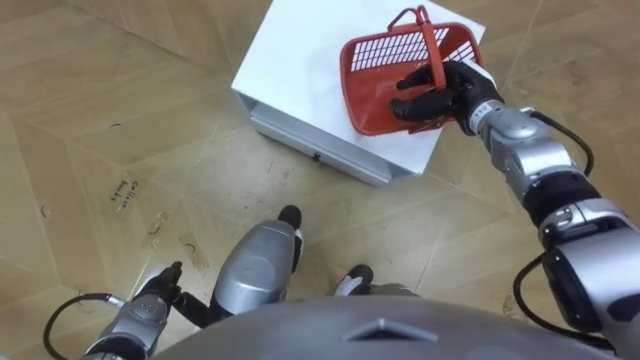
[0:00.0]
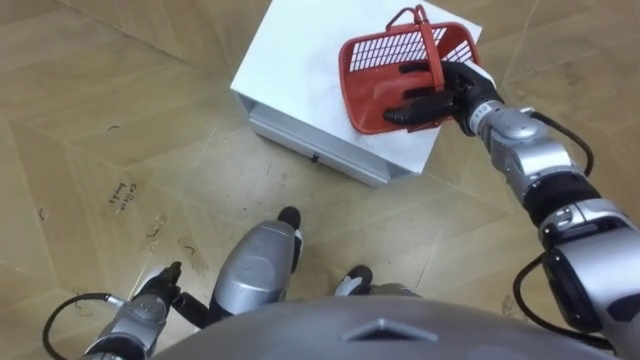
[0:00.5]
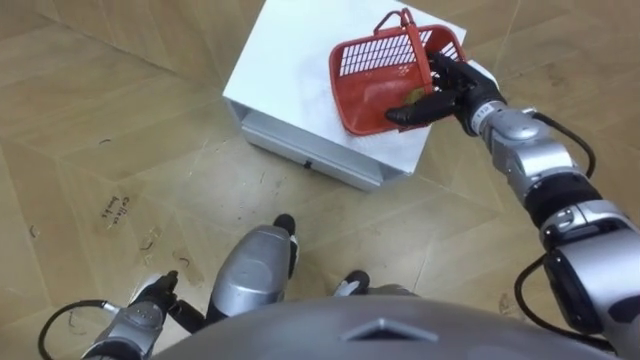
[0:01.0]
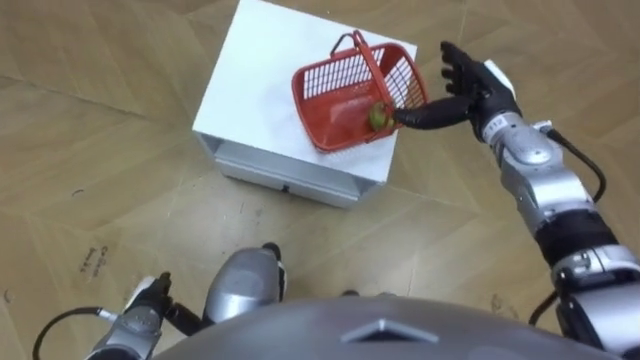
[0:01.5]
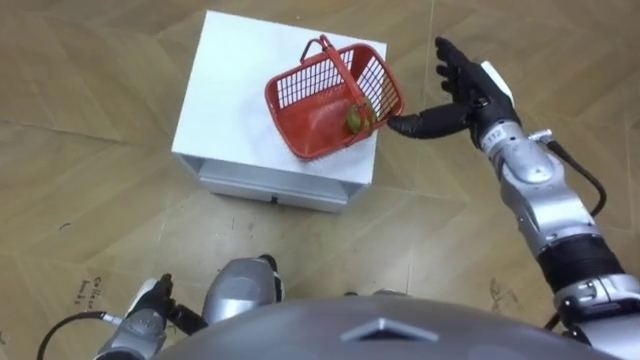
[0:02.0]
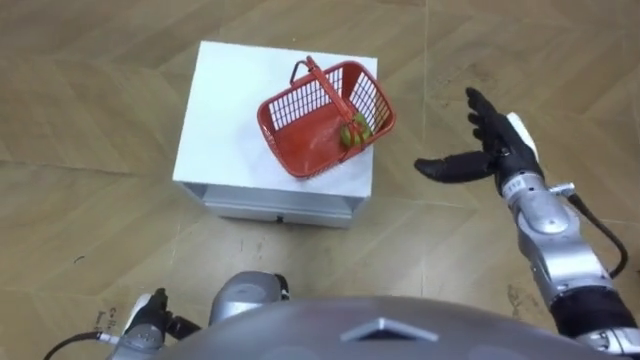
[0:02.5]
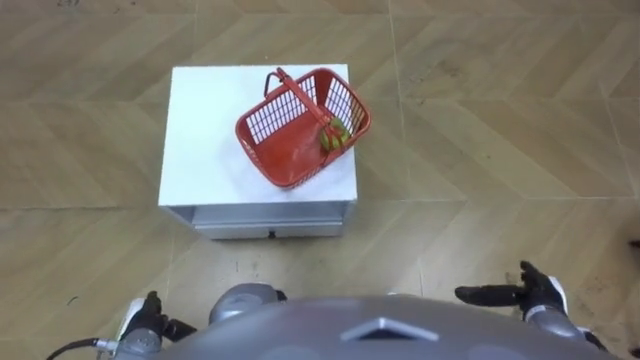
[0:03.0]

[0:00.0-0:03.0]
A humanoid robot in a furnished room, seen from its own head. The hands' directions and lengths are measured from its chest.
Task of the whole recording: Pick up the fruit basket from the floor and place it on the cabinet.
0:00.0 to 0:01.5: The right hand opens up.
0:01.5 to 0:03.0: The right hand is displaced backward and downward by approximately 30 cm.

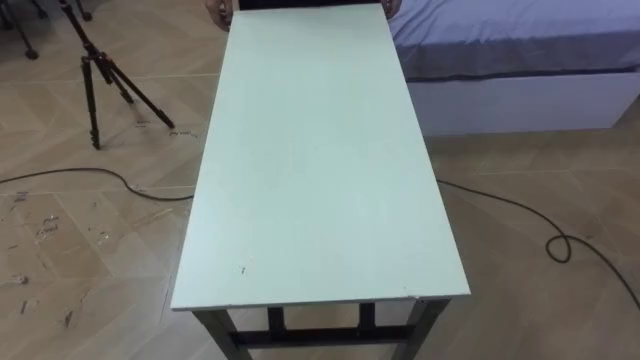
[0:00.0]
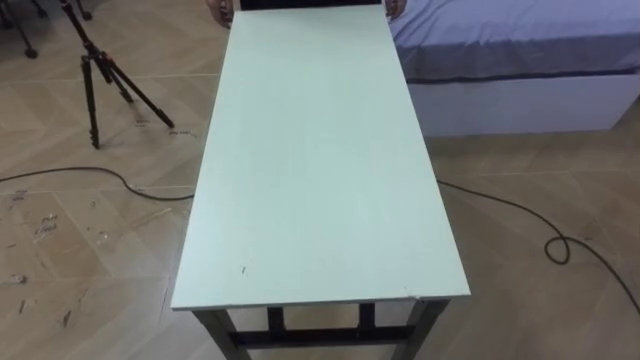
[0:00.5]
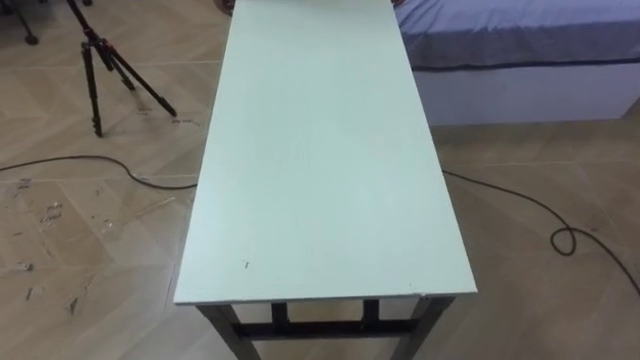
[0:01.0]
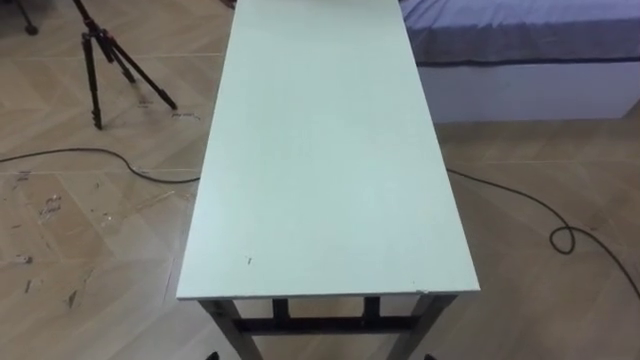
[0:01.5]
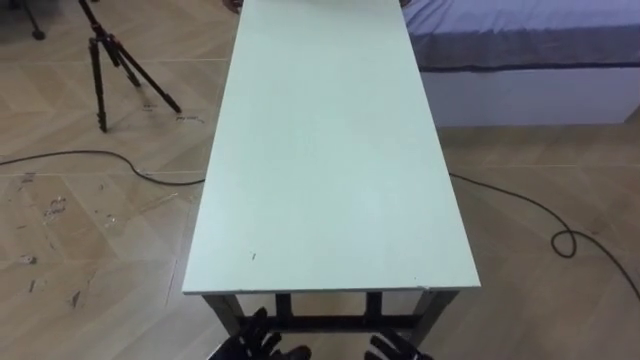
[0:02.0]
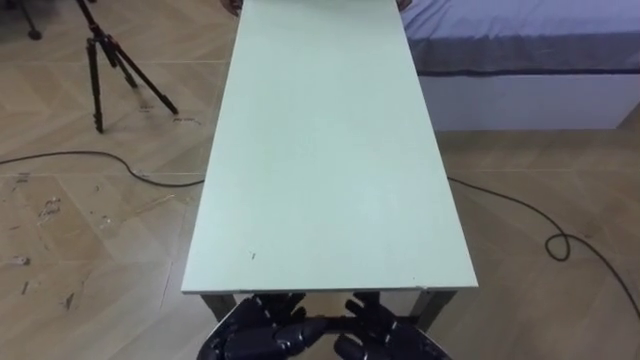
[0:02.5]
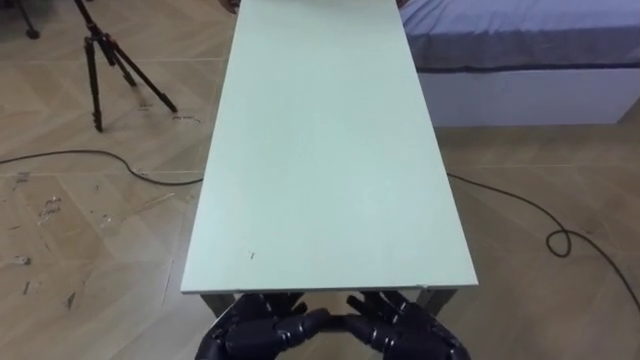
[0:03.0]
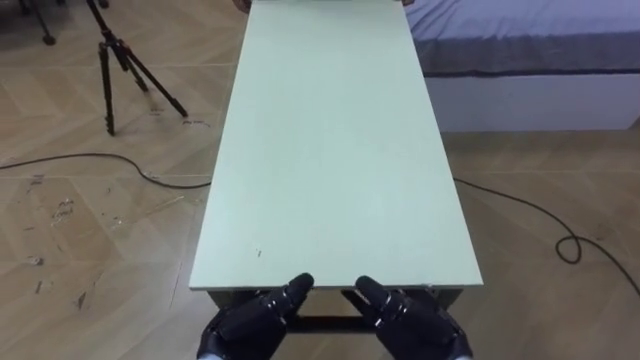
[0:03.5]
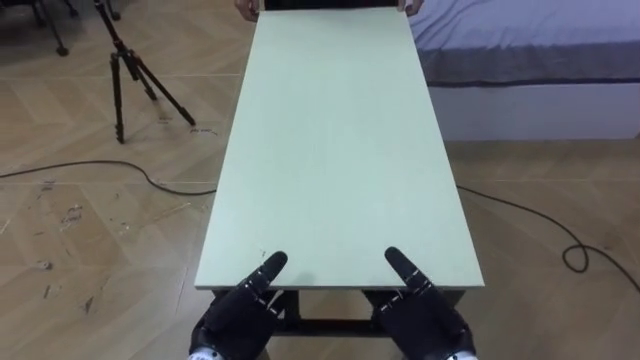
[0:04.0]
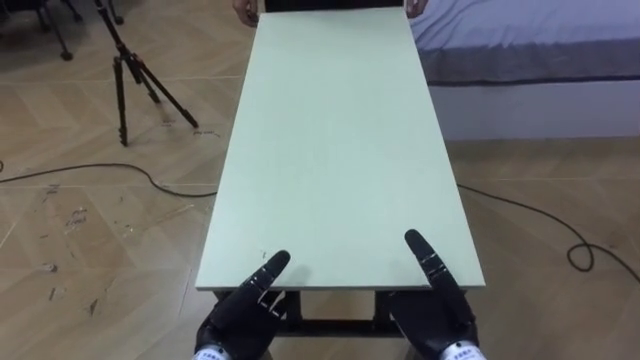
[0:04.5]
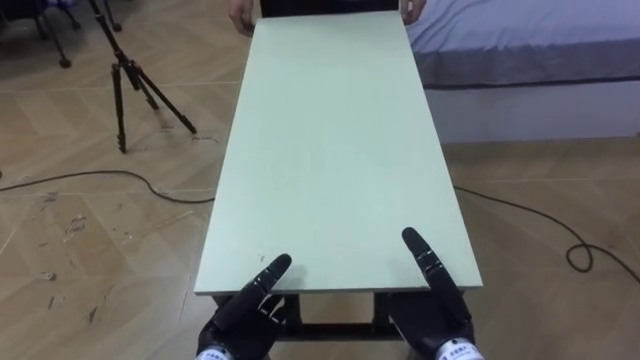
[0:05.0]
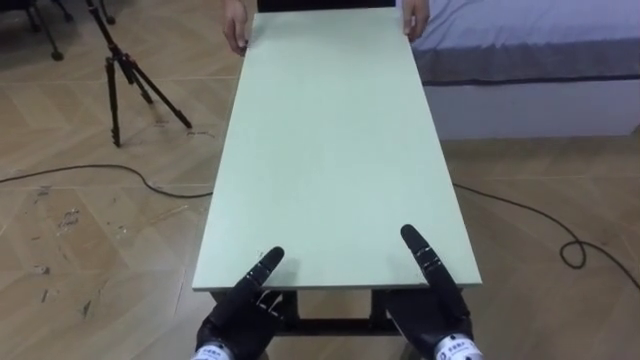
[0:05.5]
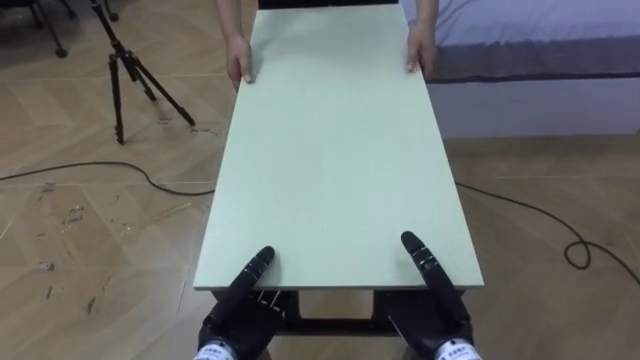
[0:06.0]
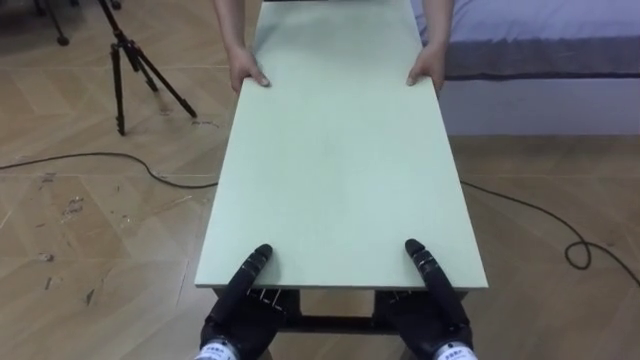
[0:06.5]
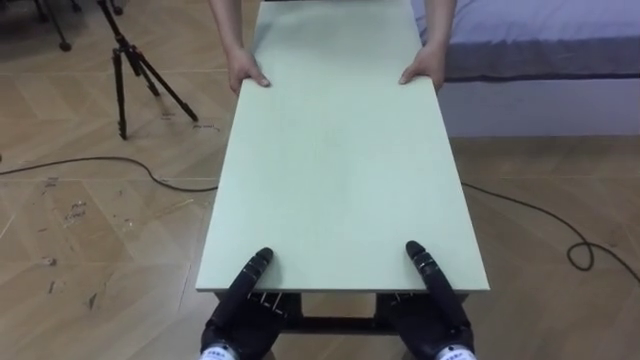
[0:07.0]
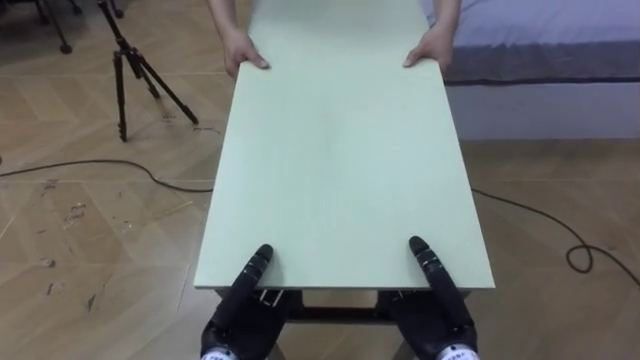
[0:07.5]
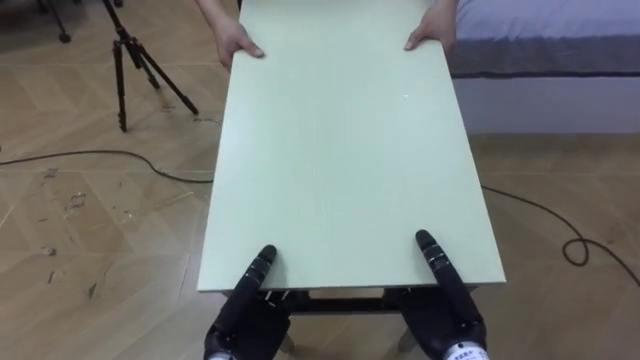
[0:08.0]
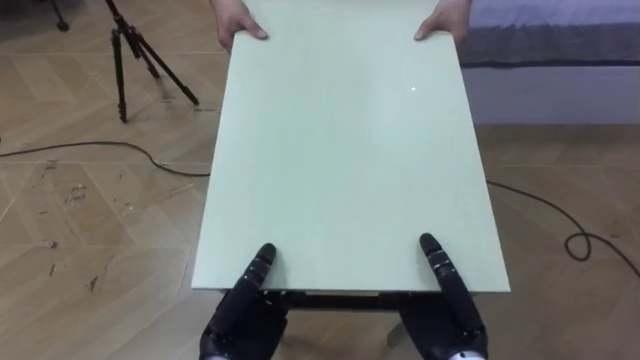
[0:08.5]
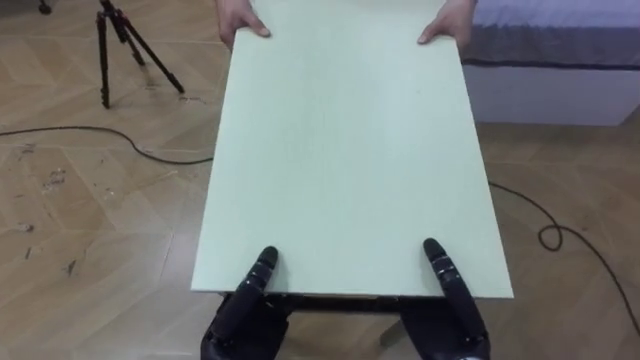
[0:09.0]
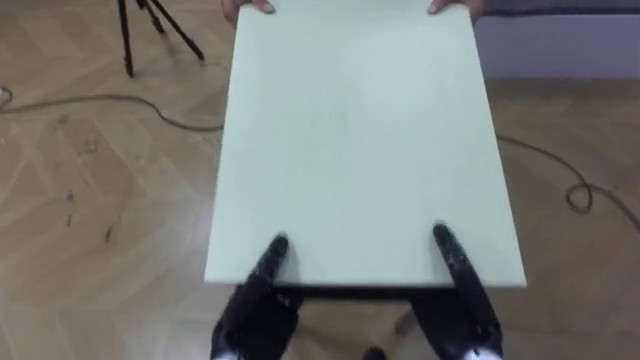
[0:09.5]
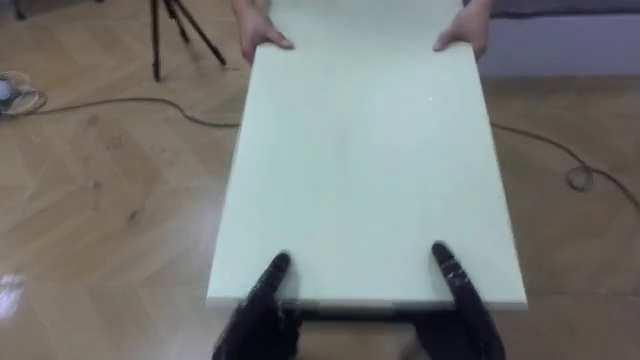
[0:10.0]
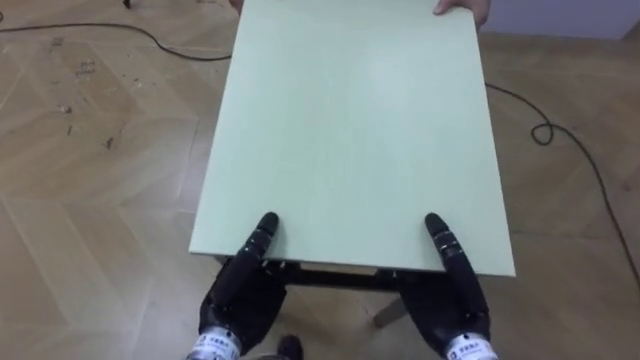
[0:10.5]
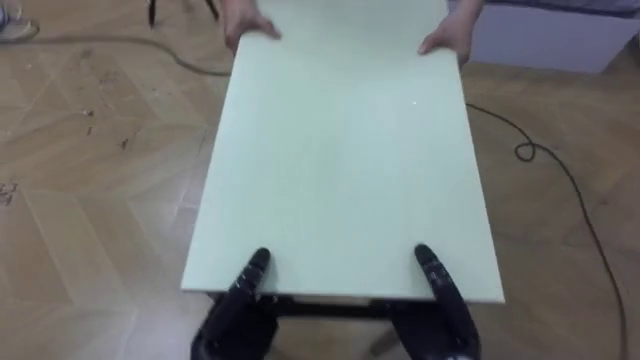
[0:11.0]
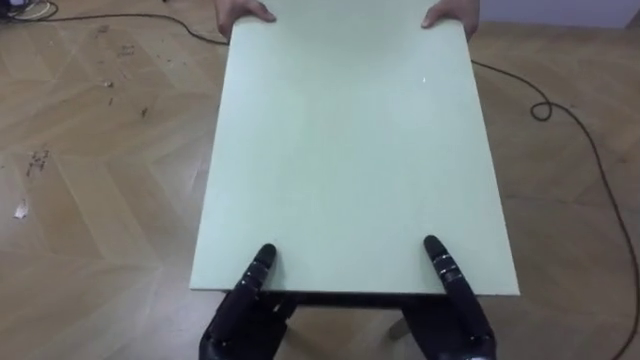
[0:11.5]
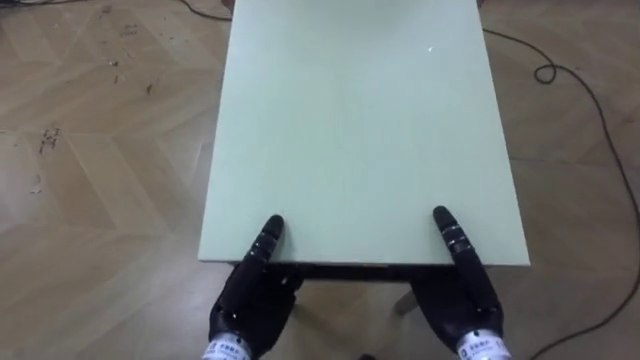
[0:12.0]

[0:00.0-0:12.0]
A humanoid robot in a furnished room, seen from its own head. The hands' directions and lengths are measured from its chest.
Task of the whole recording: Move the table to the back left with someone.
0:04.0 to 0:06.0: The left hand closes, while the right hand closes its fingers.
0:06.0 to 0:08.0: The left hand closes up.
0:10.0 to 0:12.0: The right hand changes place by roughly 5 cm.

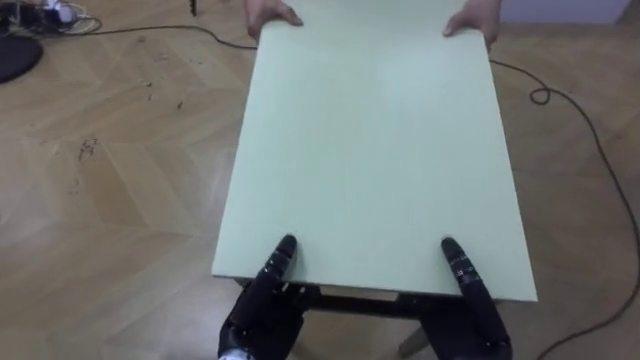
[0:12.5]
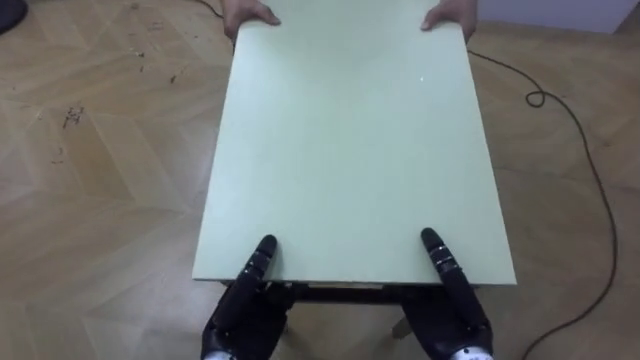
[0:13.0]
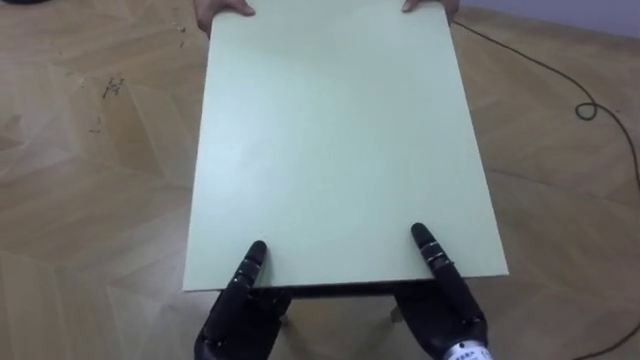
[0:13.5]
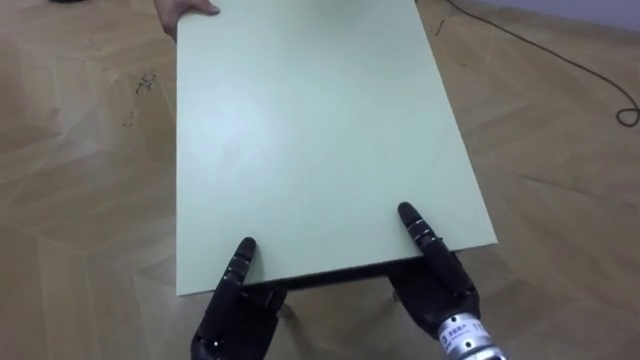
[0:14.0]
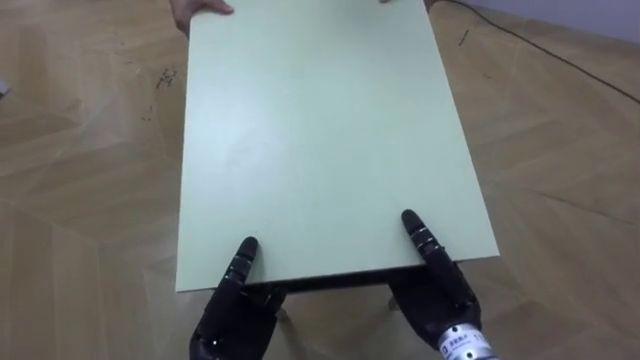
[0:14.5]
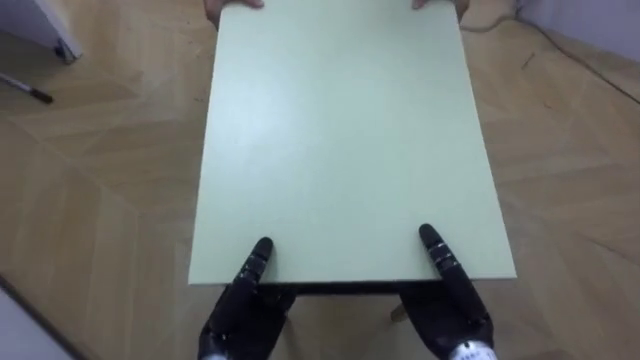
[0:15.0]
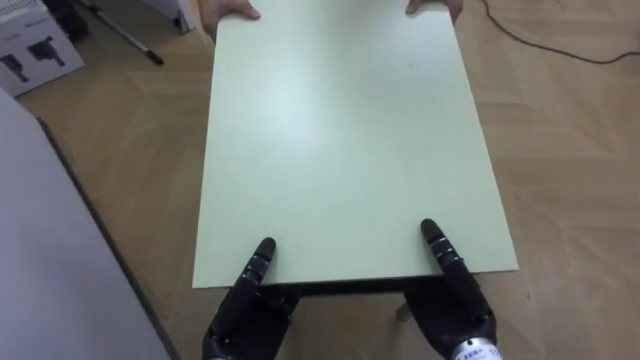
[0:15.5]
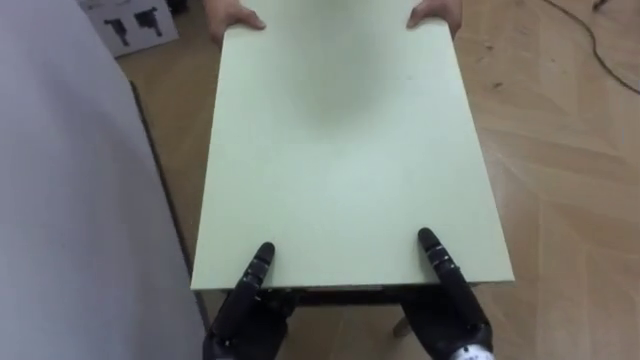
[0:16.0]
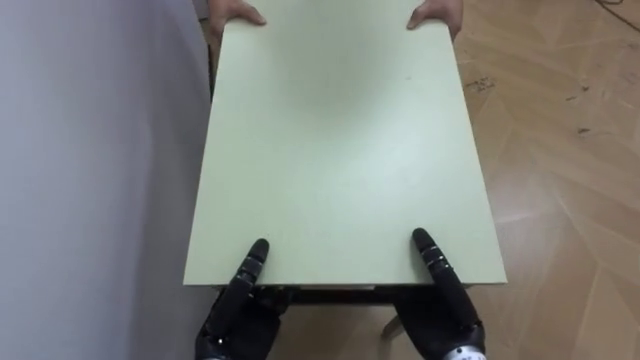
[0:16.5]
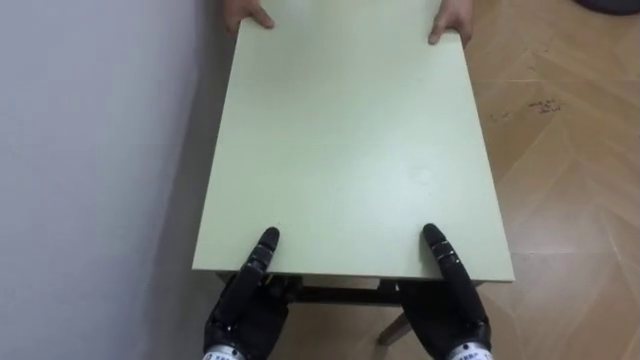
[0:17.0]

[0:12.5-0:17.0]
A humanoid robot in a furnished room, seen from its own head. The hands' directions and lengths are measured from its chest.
Task of the whole recording: Move the table to the back left with someone.
0:14.5 to 0:17.0: The robot rotates about 70 degrees to its left.
